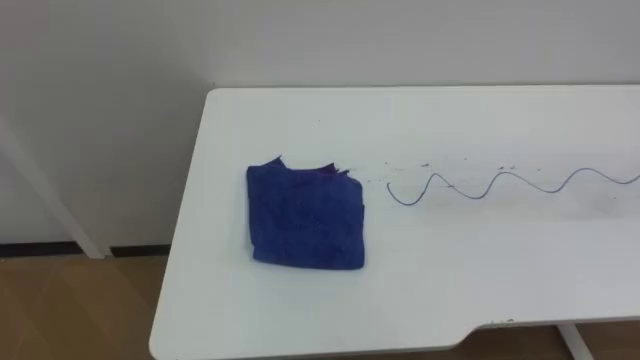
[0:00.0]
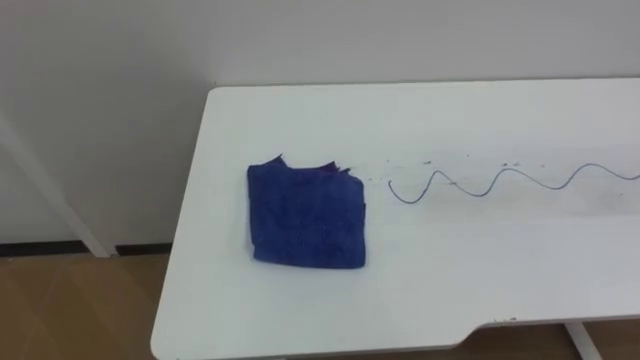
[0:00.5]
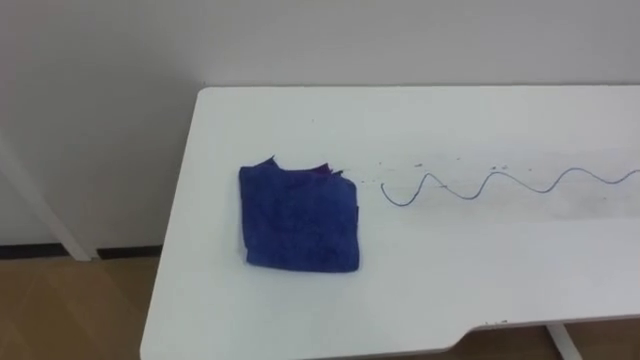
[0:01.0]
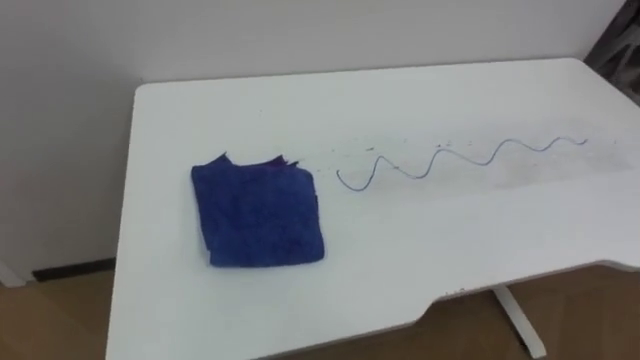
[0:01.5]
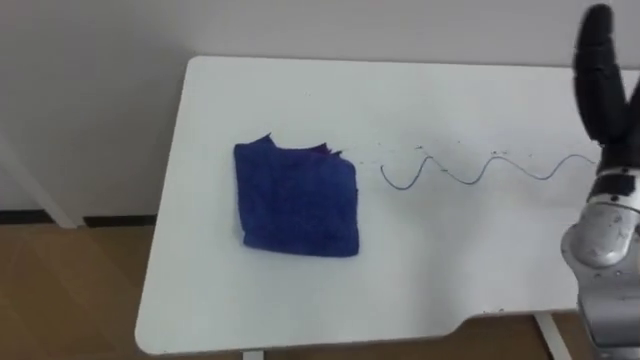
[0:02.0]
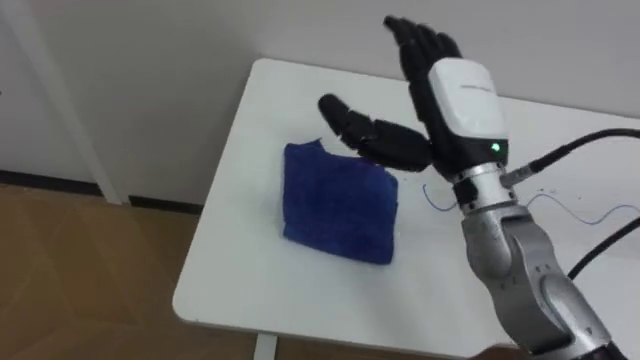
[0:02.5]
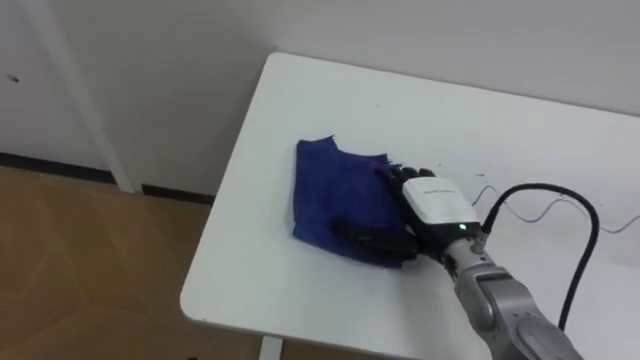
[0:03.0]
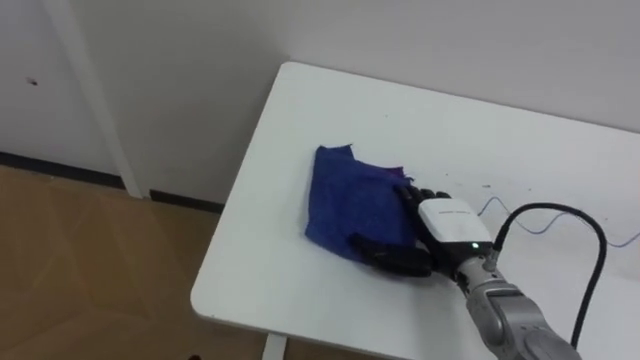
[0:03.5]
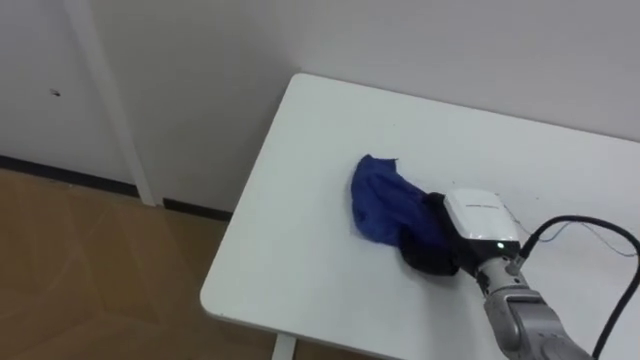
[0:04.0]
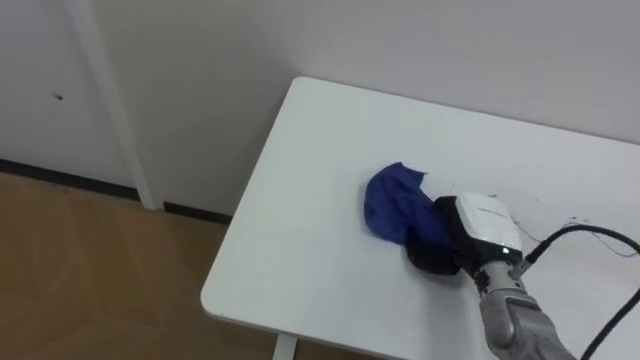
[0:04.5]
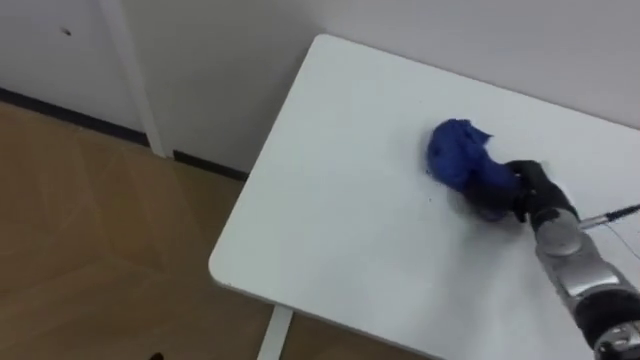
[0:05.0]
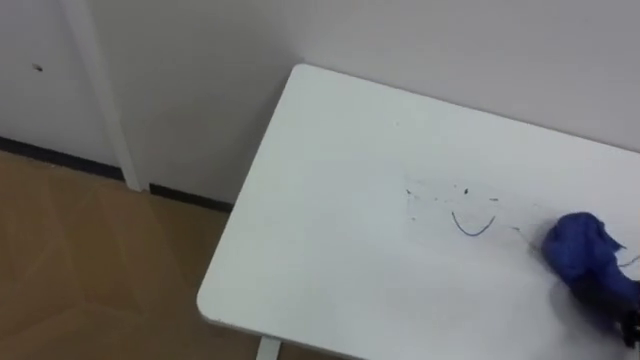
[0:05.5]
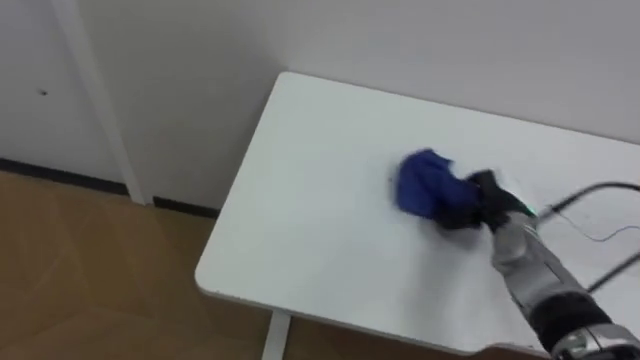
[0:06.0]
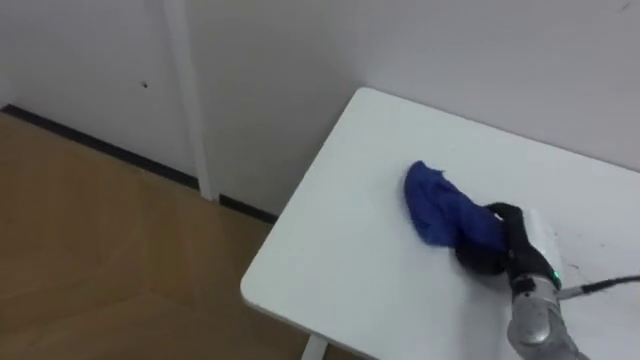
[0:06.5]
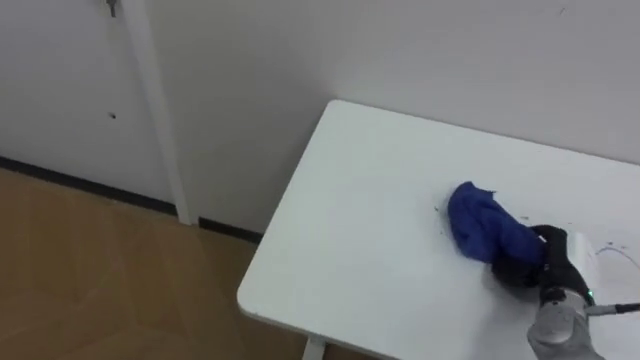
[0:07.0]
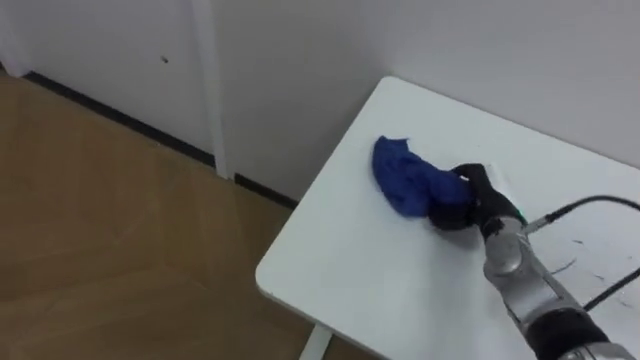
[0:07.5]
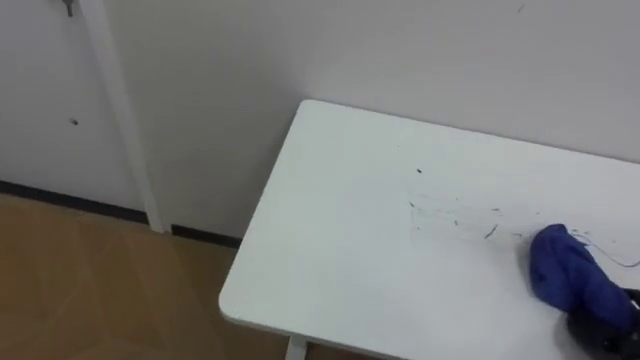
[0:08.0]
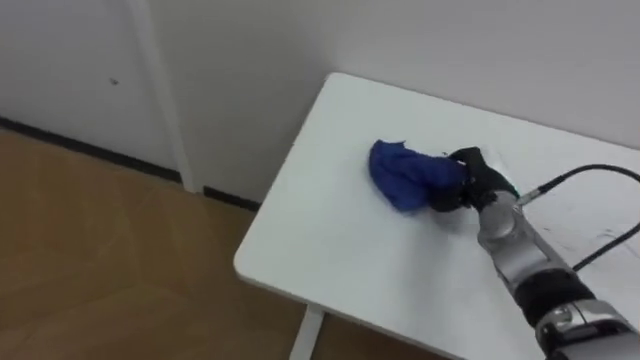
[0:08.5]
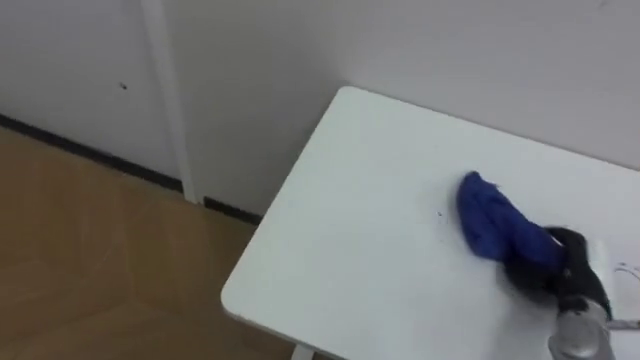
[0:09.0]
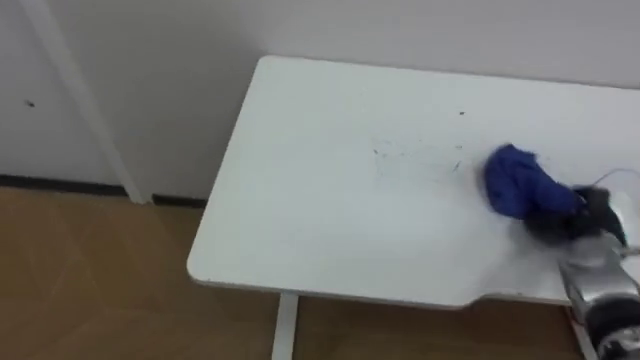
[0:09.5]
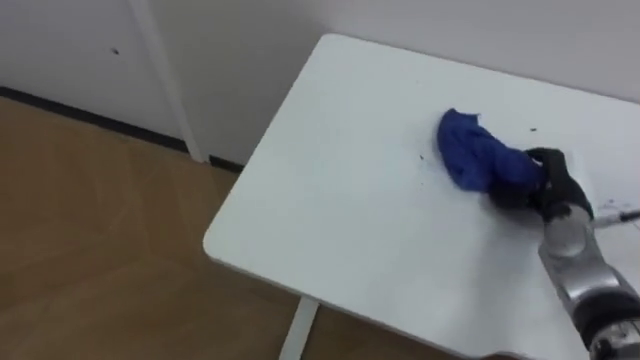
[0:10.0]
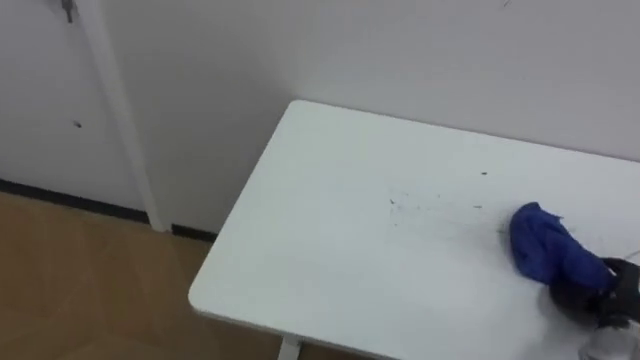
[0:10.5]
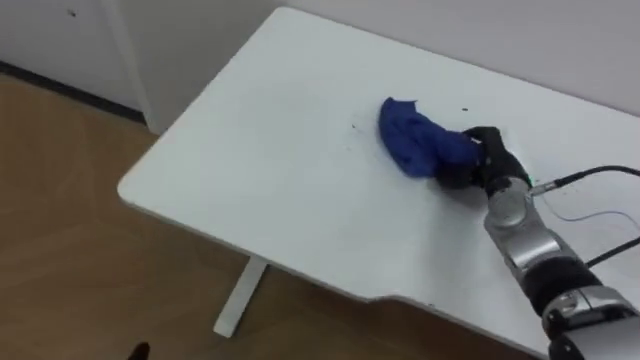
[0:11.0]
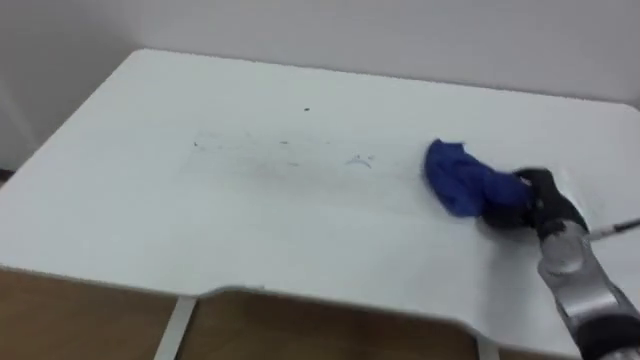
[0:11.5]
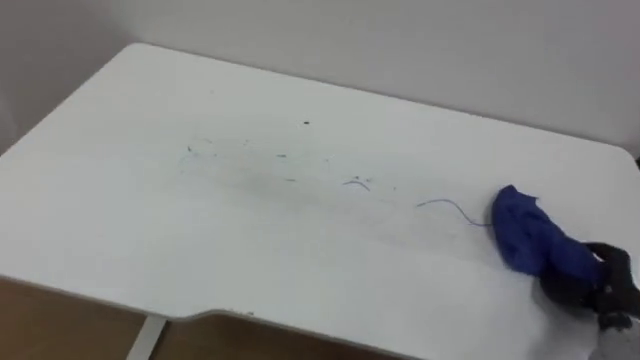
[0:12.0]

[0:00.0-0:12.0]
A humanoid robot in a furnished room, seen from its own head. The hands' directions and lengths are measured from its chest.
Task of the whole recording: Wipe the blue pen marks off the table with the rag.
0:06.0 to 0:08.0: The right hand moves forward and backward over approximately 20 cm, changing direction 2 times.
0:10.0 to 0:12.0: The right hand moves forward and backward over roughly 20 cm, changing direction 2 times.

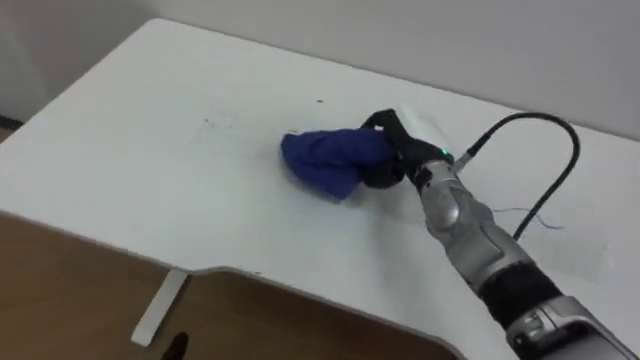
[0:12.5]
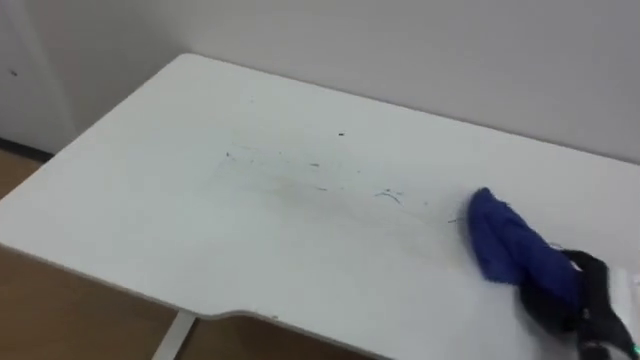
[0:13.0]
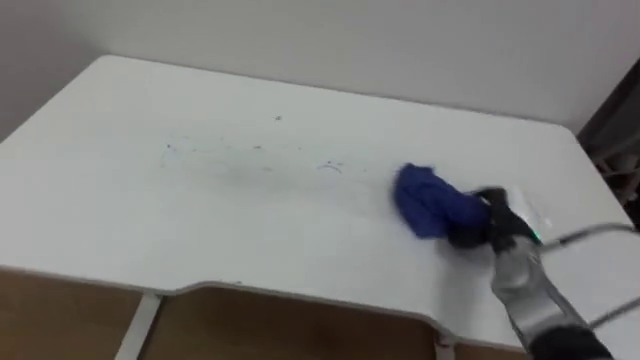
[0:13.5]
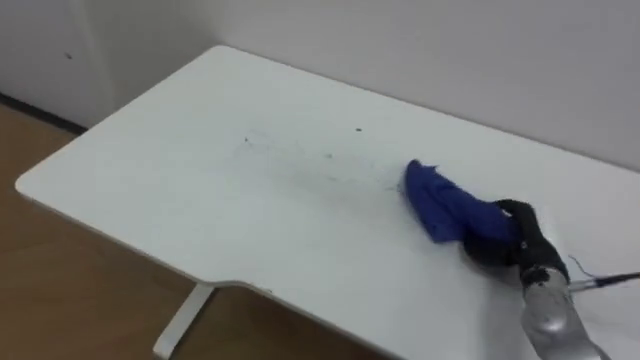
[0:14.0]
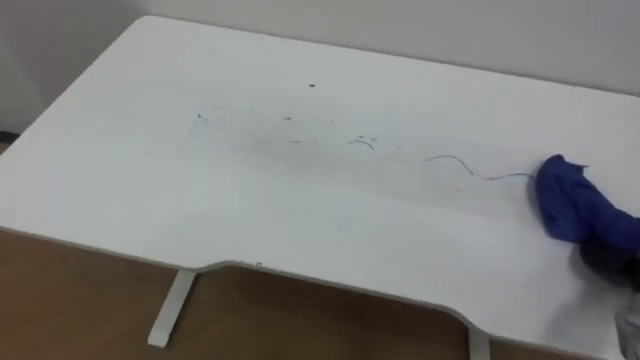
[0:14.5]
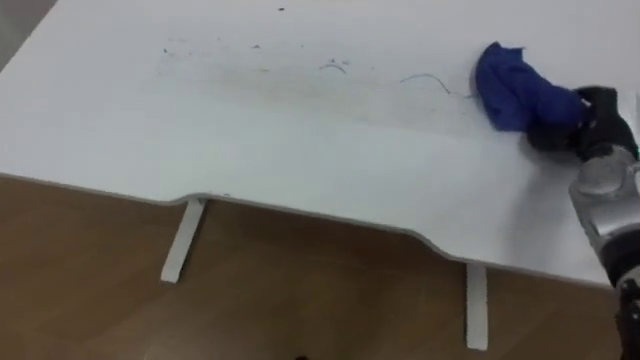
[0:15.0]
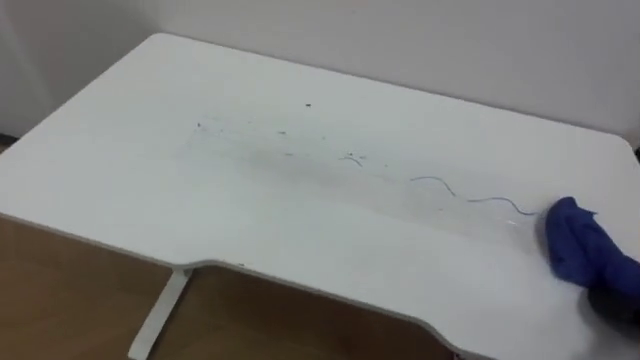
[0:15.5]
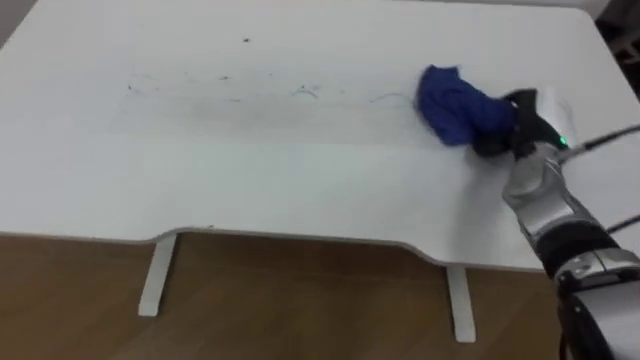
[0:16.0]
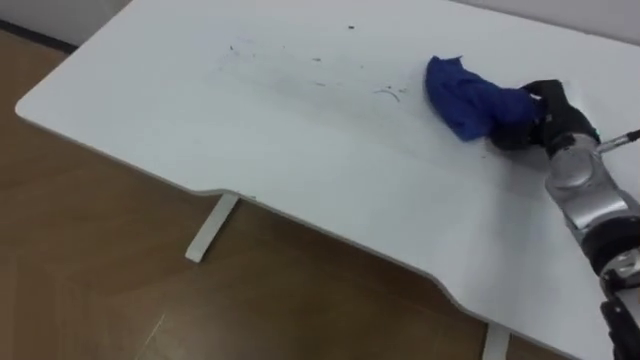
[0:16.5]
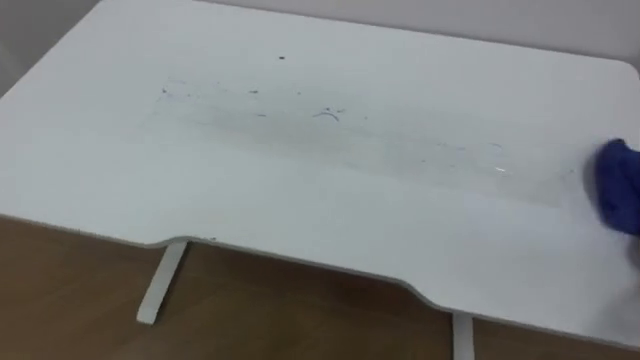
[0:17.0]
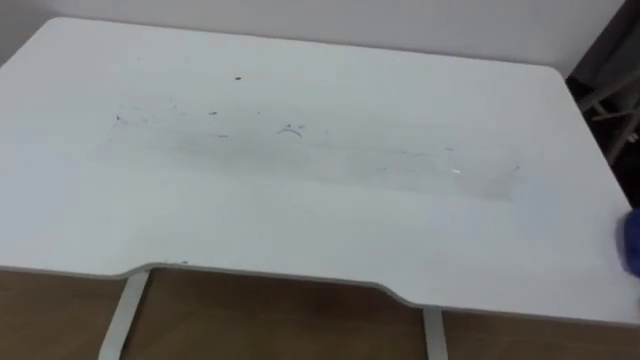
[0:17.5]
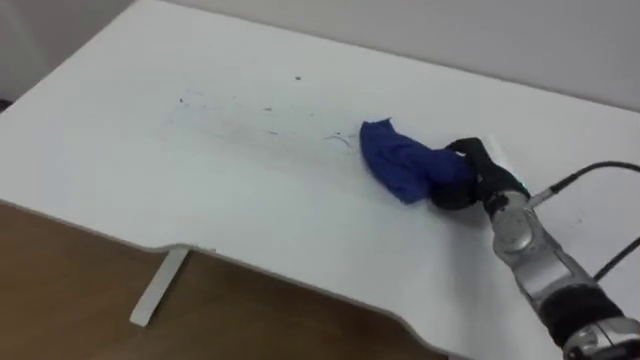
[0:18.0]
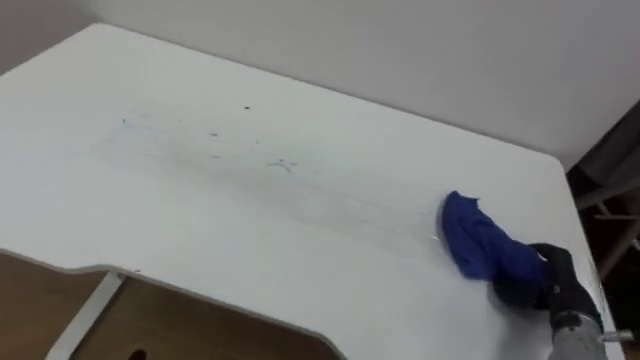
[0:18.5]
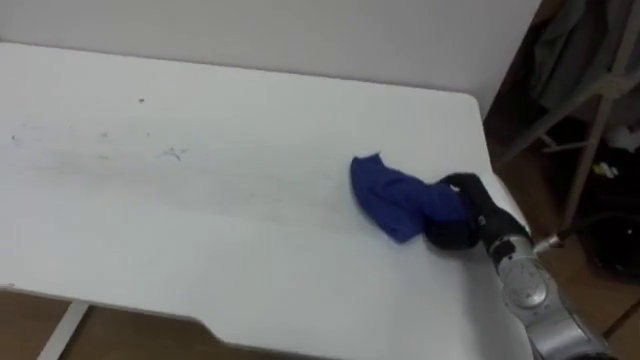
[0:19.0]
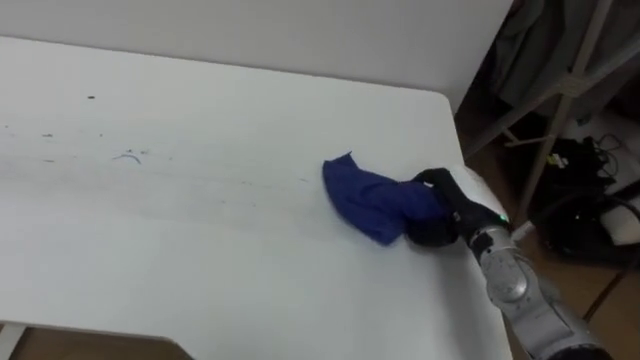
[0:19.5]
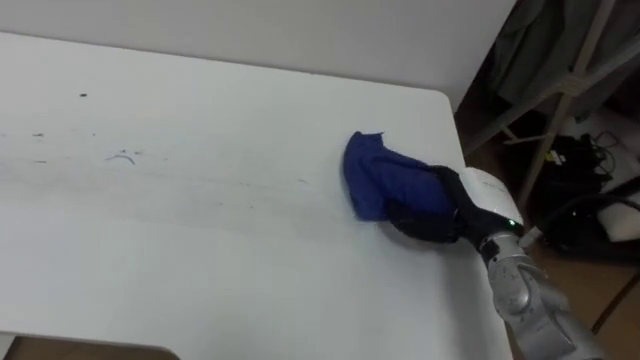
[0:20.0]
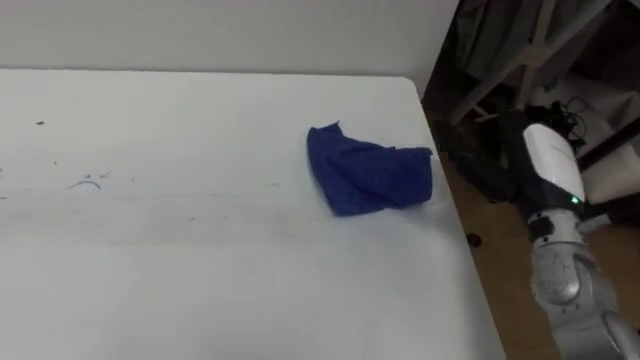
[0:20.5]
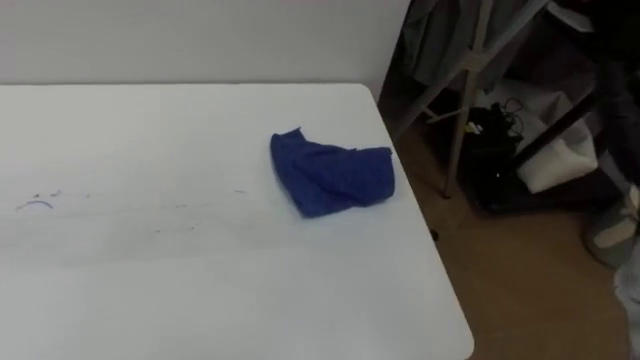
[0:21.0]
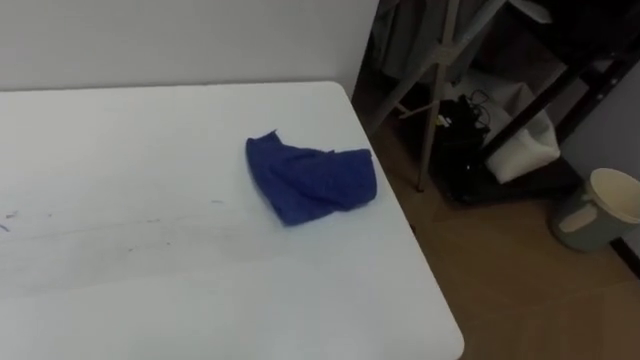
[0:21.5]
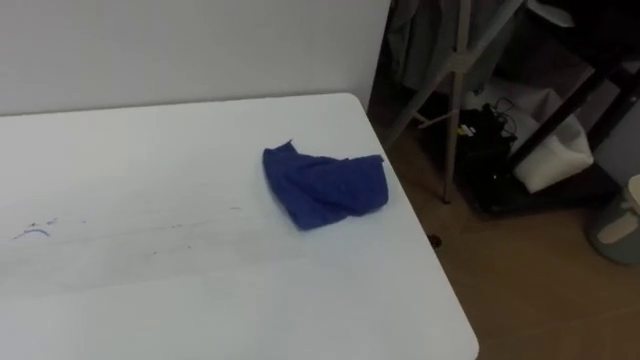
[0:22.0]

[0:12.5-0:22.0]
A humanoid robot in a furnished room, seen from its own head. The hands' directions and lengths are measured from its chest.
Task of the whole recording: Wipe the blue pen marks off the table with the rag.
0:18.0 to 0:20.0: The right hand moves approximately 15 cm backward and comes back, and opens up.
